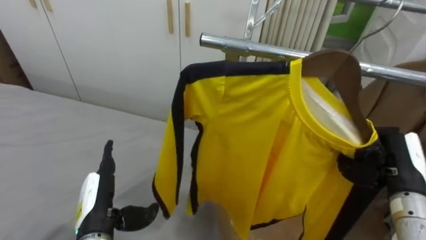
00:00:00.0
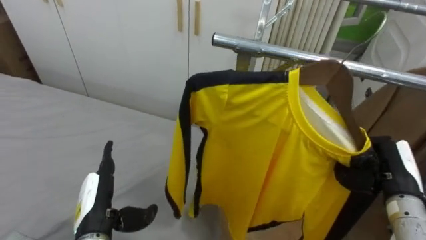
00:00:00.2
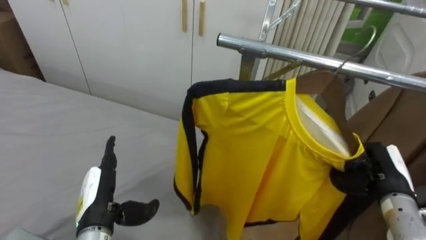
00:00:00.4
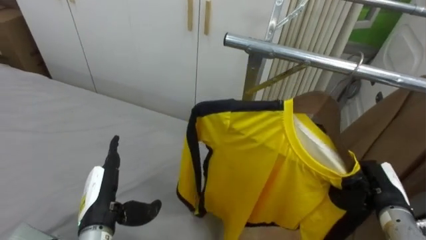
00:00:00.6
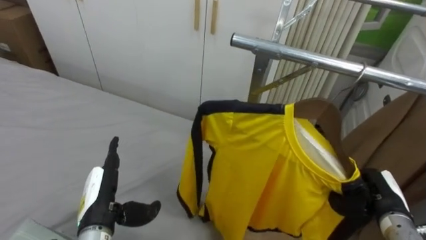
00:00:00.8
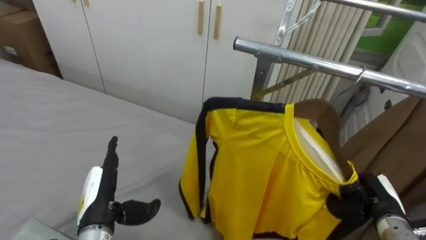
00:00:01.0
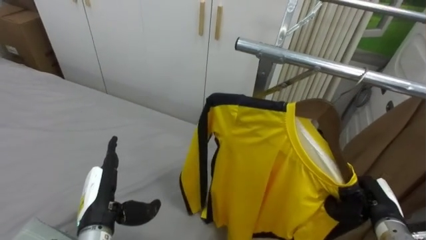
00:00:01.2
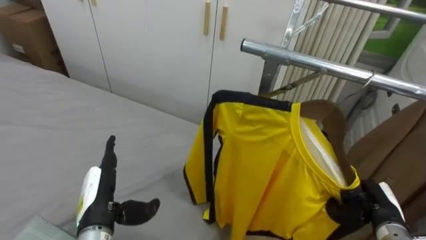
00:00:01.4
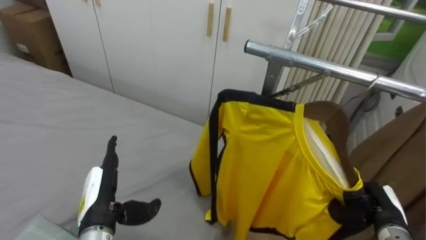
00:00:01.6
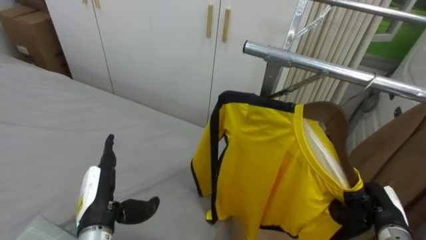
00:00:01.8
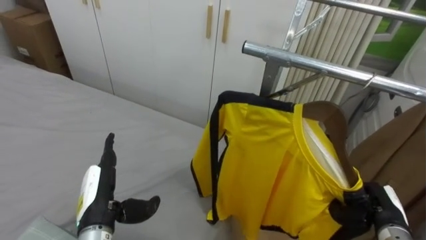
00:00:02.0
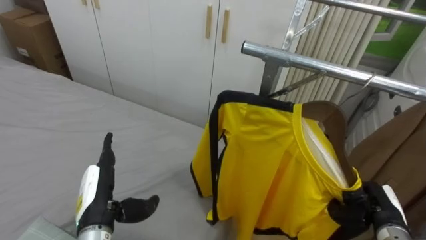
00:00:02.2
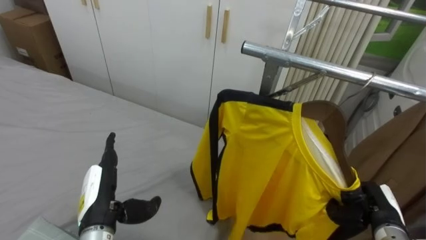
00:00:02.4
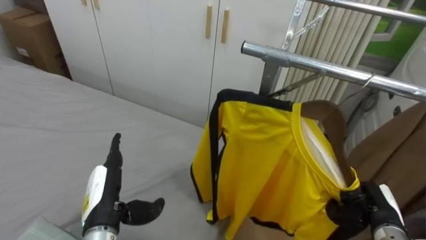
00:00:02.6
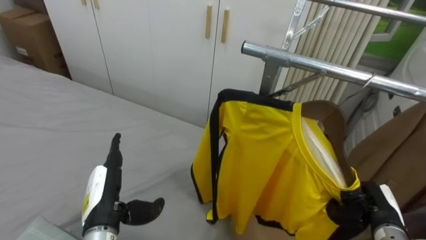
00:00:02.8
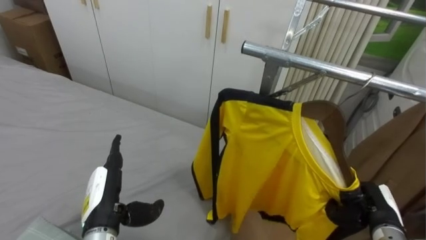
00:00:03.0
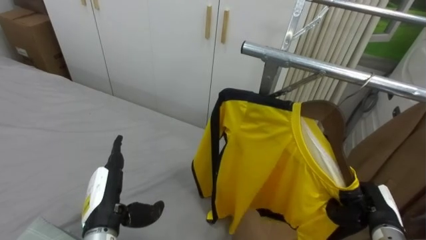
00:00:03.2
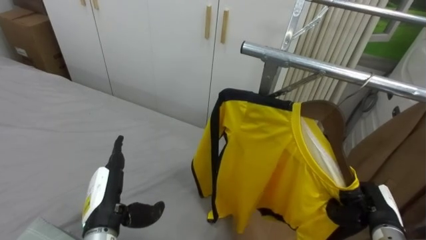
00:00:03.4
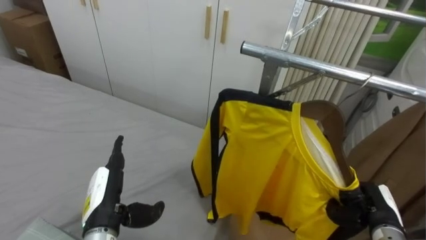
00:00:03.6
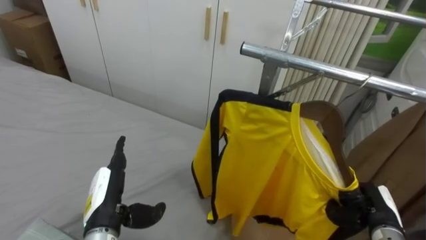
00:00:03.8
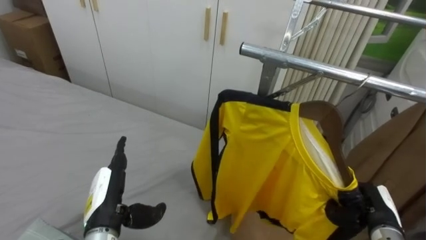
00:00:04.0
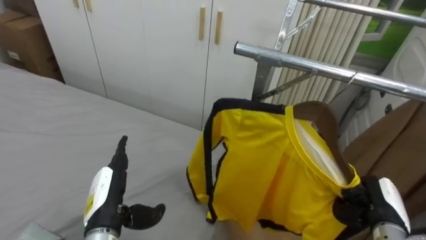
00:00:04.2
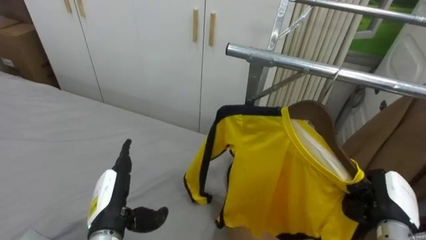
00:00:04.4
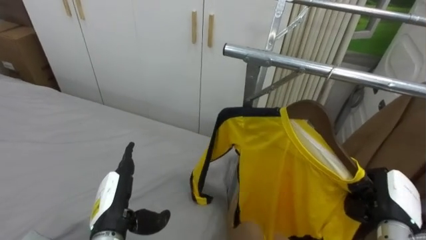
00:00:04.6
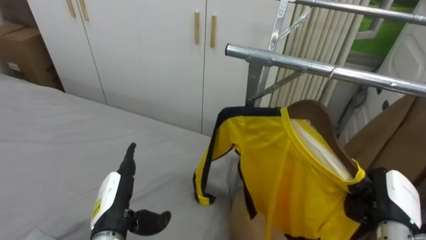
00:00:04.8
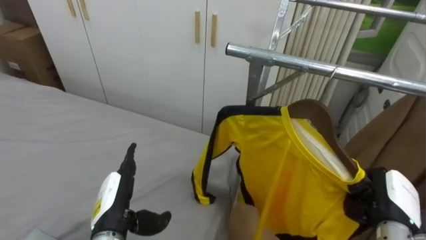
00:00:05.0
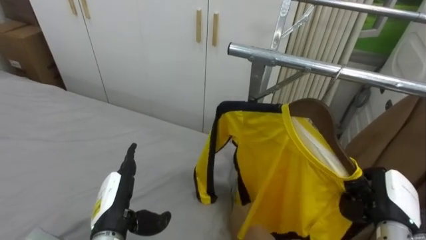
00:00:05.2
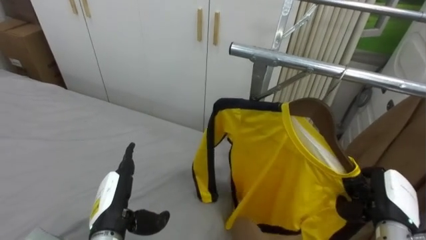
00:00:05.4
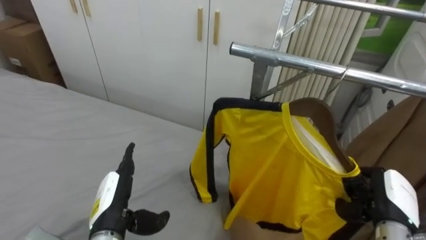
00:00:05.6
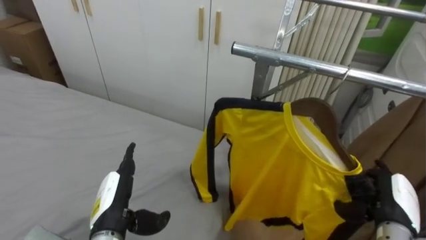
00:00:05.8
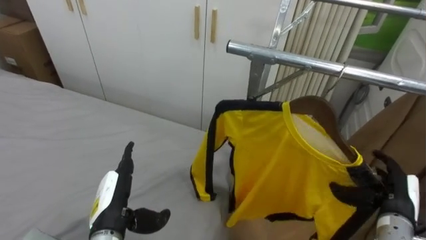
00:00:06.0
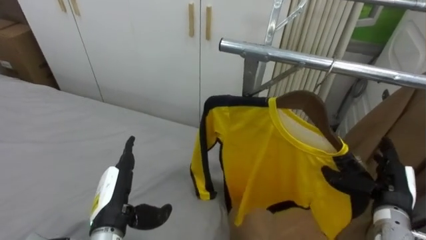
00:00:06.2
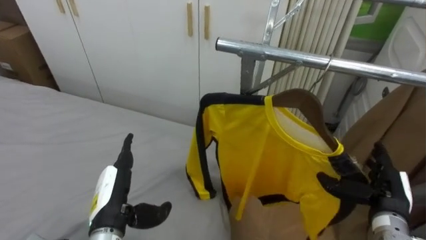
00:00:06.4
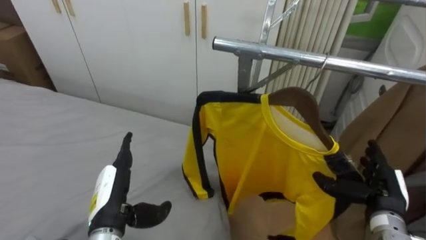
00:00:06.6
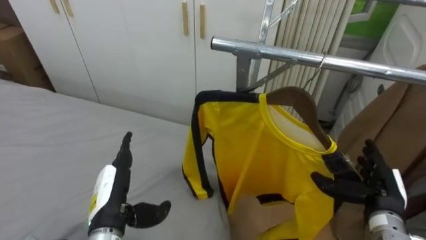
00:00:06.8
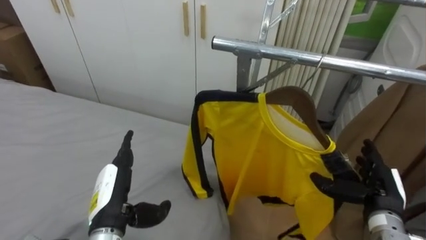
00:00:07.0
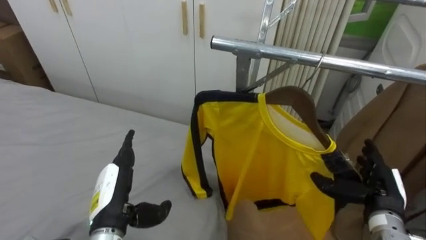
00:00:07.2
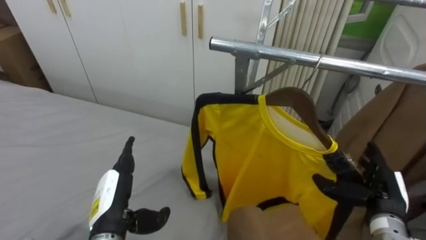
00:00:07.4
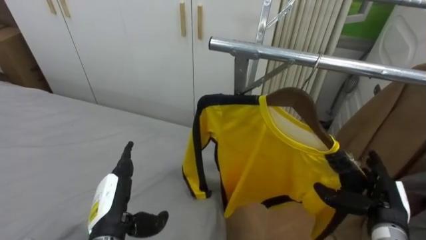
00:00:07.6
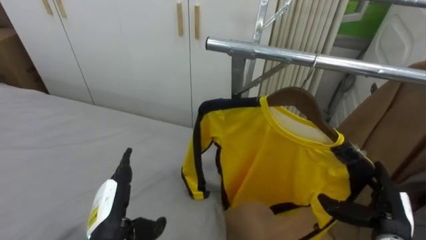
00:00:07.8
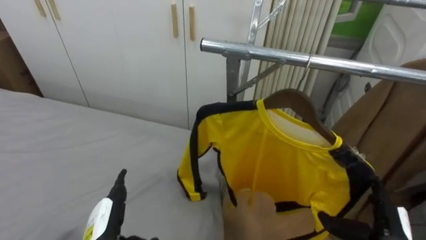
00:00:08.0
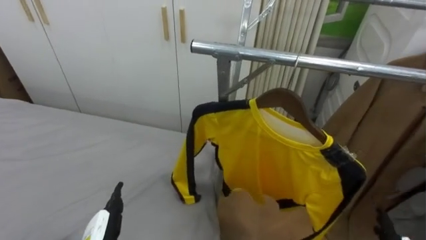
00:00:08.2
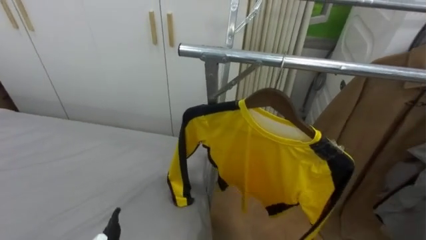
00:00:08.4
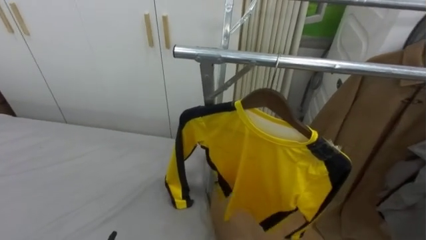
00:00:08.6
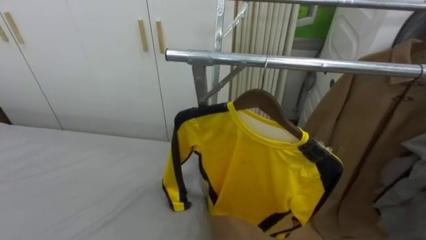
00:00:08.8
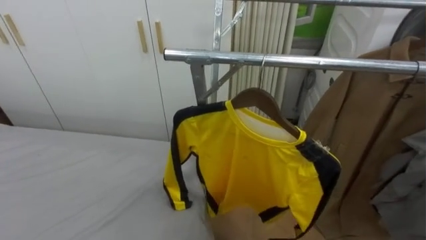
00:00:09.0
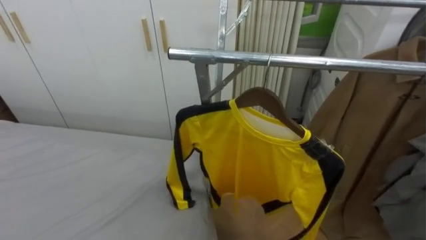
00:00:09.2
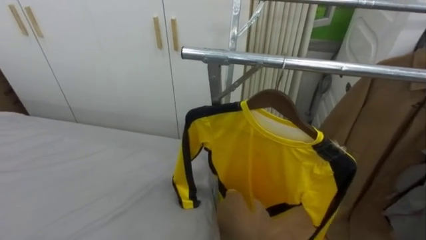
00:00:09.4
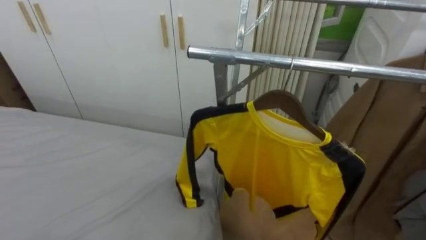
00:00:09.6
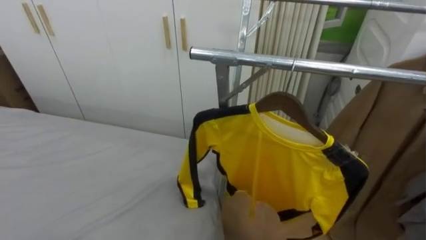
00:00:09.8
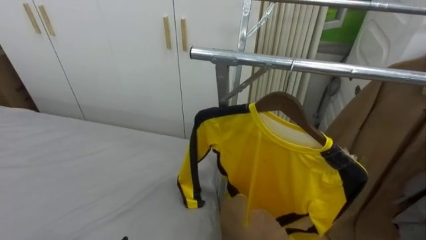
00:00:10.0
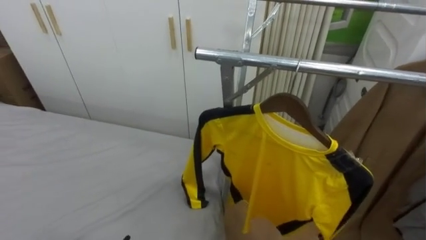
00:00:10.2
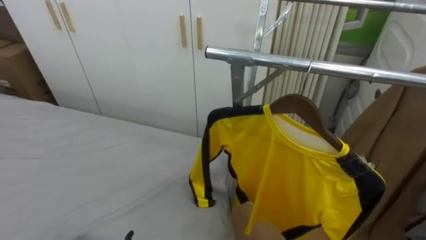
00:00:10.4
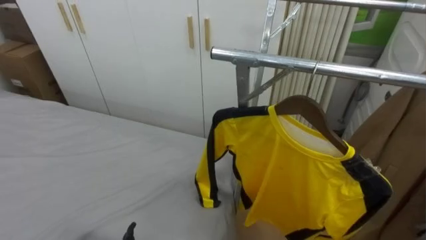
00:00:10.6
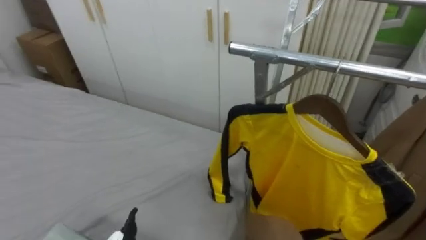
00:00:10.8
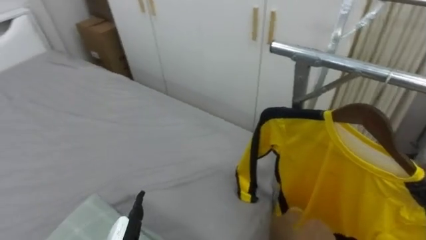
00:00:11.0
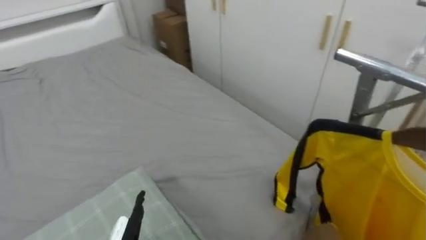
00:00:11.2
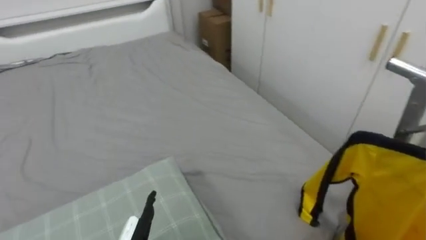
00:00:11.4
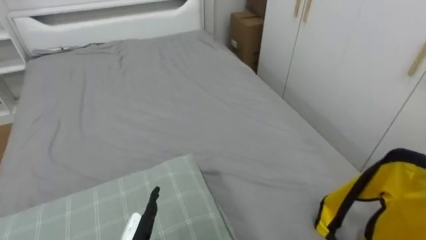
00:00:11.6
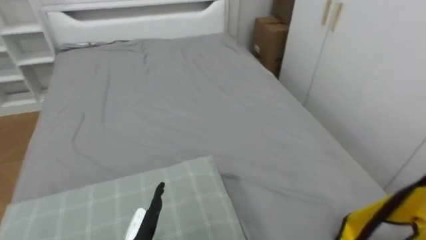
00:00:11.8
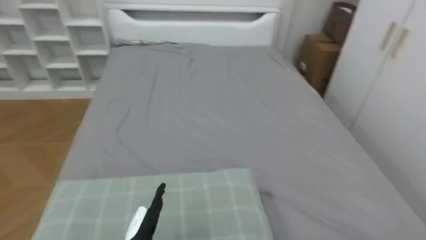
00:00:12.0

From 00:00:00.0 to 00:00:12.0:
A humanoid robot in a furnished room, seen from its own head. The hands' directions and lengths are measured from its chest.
Task of the whole recording: Pick up the yellow shirt on the bed and hang it on the clothes rack on the right.
From 00:00:00.0 to 00:00:01.6: The right hand heads downward, covering approximately 15 cm.
From 00:00:01.6 to 00:00:03.0: Both hands stay put.
From 00:00:04.4 to 00:00:06.0: The right hand opens.
From 00:00:10.4 to 00:00:12.0: The robot rotates about 60 degrees to its left.

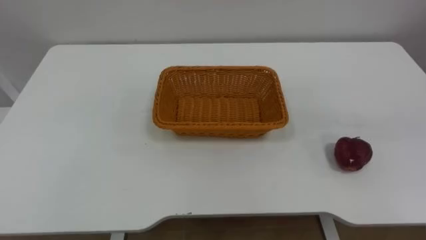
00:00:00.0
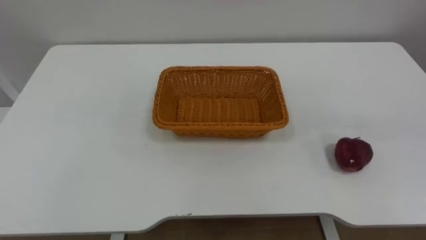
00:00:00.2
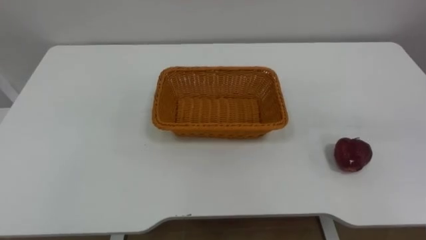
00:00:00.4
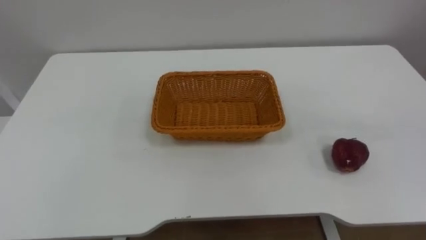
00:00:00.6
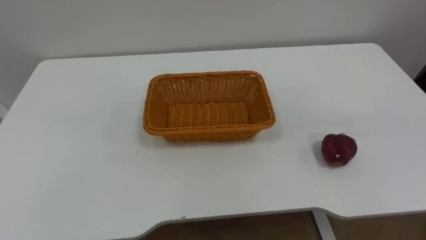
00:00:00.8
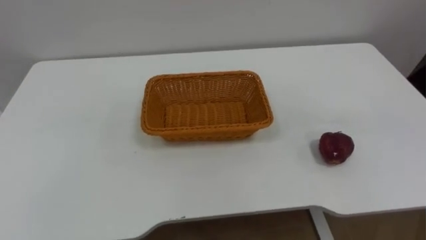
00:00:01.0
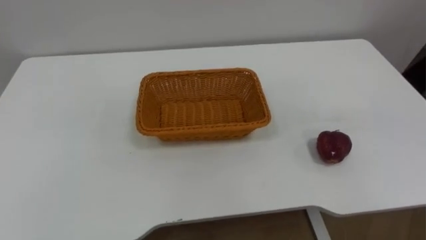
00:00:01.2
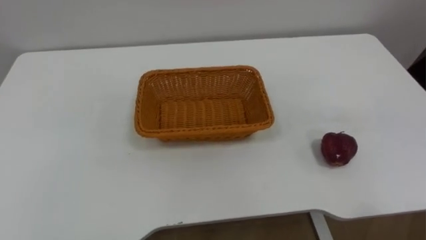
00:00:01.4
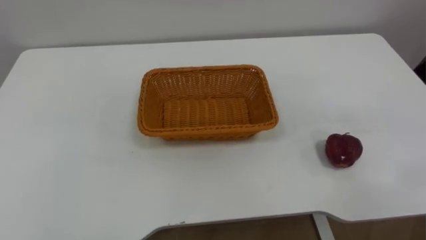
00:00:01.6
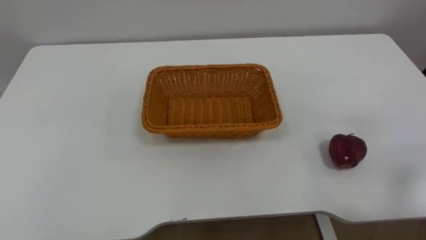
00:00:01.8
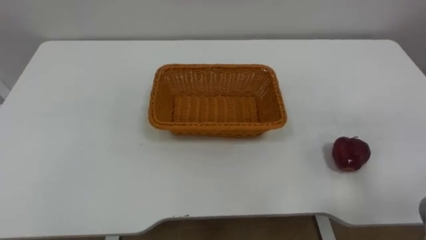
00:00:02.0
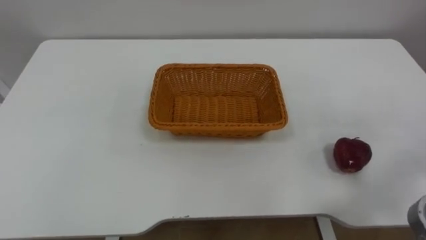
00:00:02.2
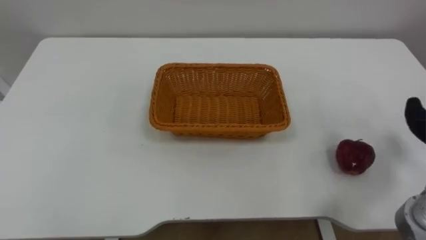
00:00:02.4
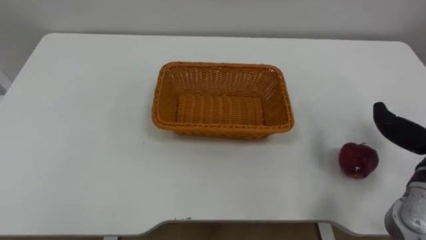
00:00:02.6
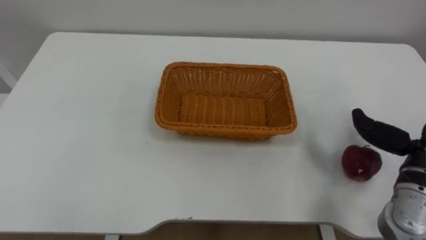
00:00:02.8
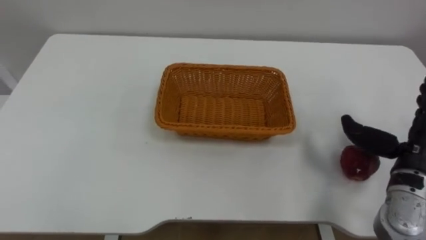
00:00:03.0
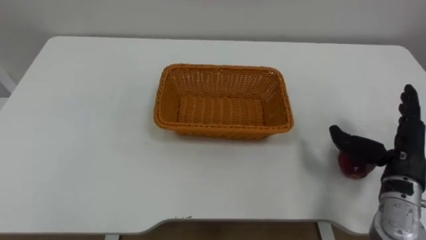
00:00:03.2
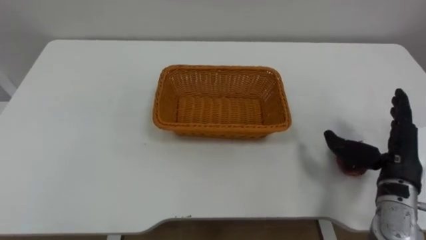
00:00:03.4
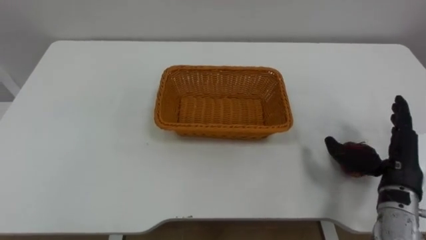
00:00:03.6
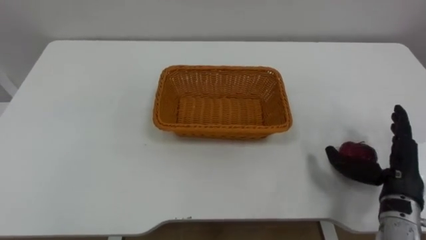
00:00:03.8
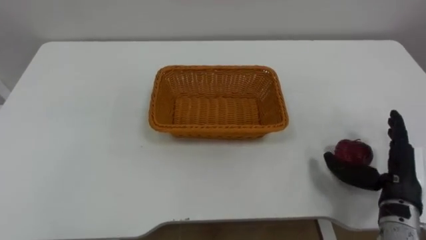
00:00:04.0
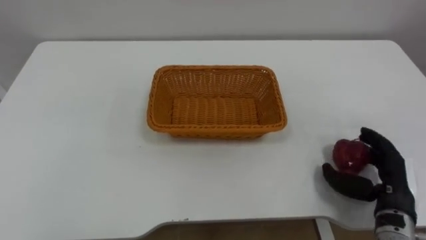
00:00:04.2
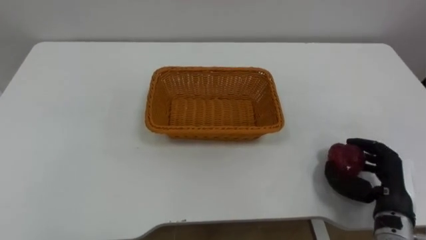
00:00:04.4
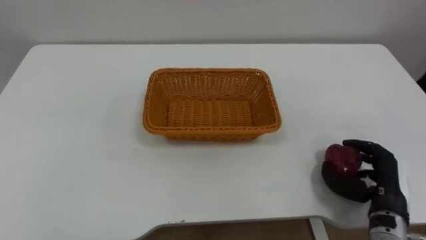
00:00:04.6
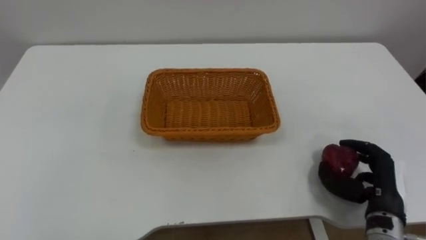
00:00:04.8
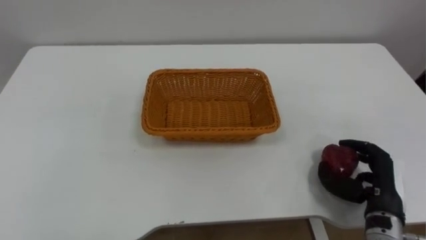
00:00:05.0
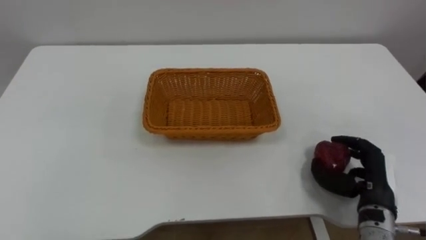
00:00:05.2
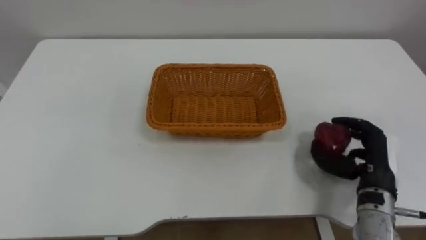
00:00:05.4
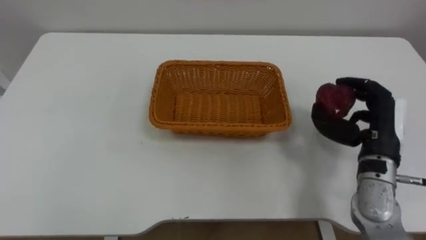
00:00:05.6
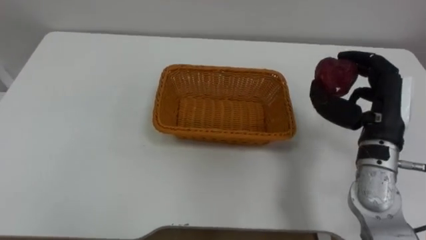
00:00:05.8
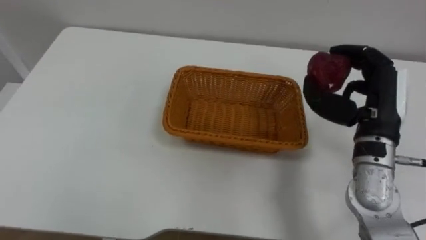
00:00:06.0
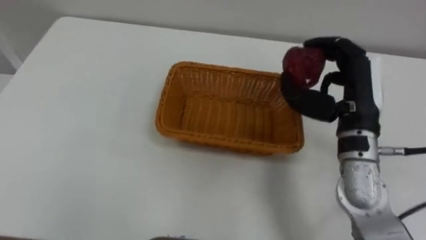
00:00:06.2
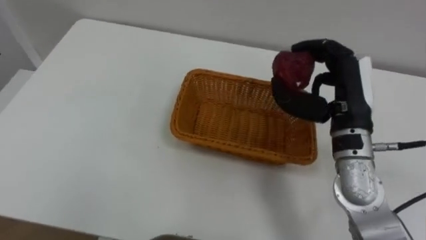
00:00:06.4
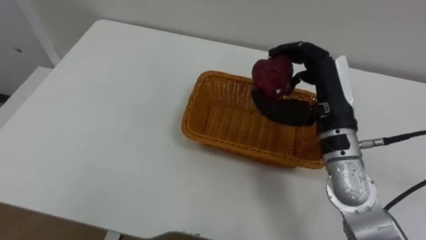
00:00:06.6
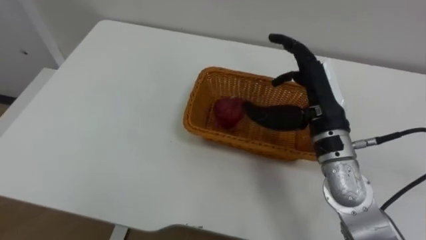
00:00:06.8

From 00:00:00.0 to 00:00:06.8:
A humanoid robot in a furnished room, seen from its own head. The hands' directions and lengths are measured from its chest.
Task of the whole recording: Pick the apple and place it in the box.
From 00:00:04.0 to 00:00:05.4: The right hand closes its fingers.
From 00:00:05.4 to 00:00:06.8: The right hand goes about 20 cm upward, to the left and forward, and opens its fingers.
